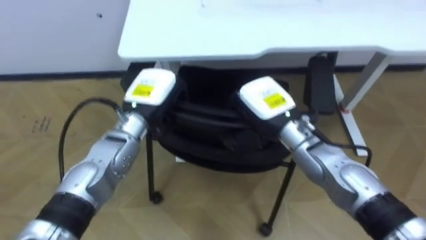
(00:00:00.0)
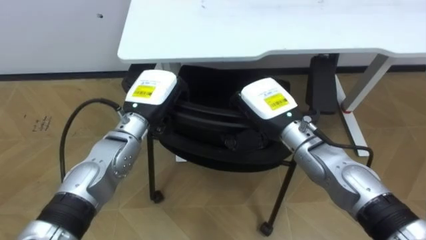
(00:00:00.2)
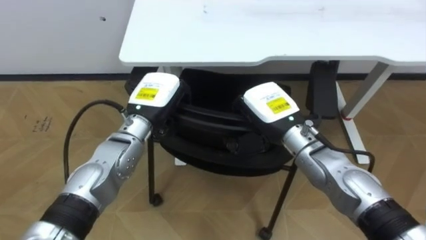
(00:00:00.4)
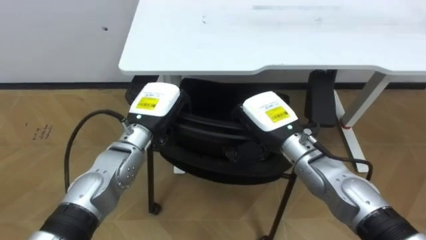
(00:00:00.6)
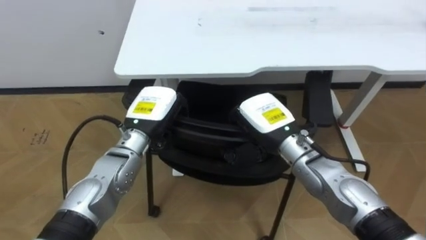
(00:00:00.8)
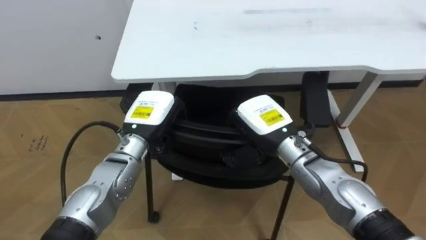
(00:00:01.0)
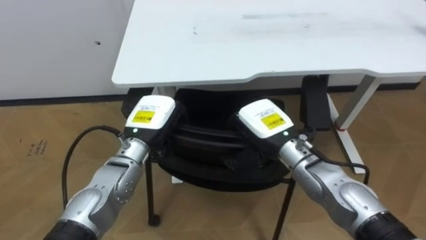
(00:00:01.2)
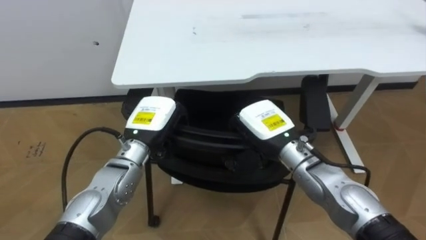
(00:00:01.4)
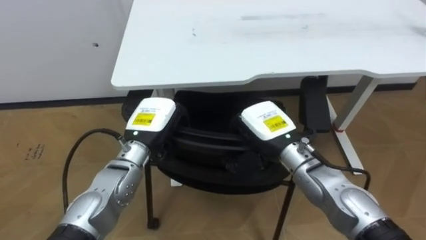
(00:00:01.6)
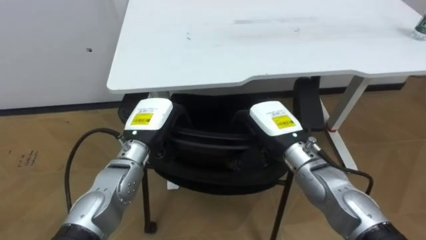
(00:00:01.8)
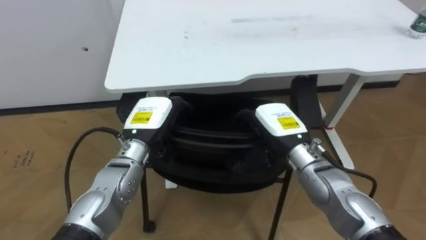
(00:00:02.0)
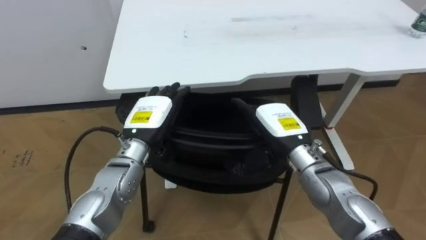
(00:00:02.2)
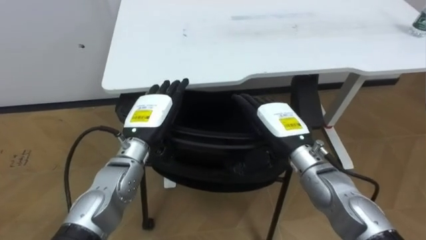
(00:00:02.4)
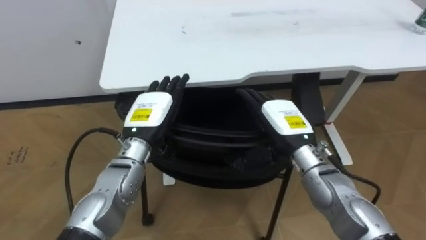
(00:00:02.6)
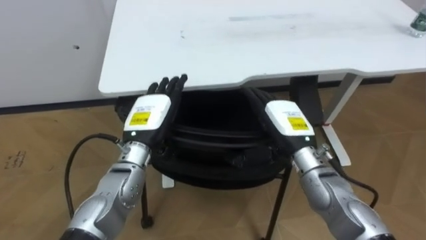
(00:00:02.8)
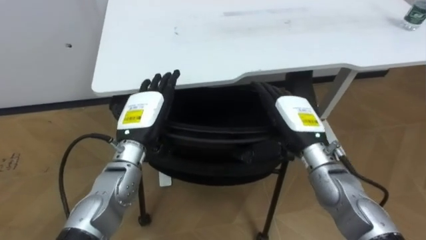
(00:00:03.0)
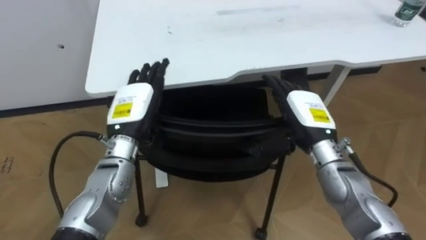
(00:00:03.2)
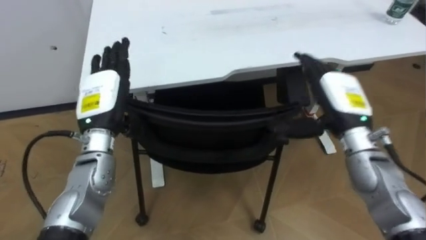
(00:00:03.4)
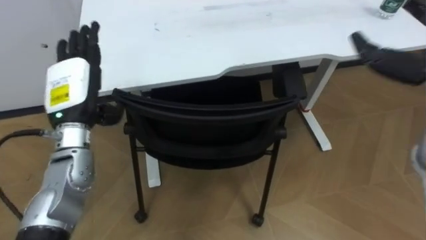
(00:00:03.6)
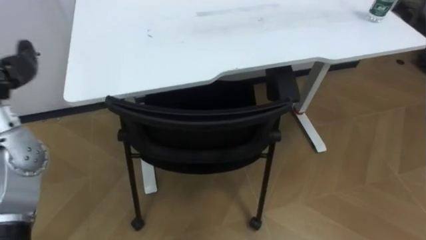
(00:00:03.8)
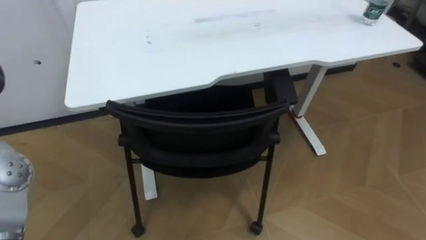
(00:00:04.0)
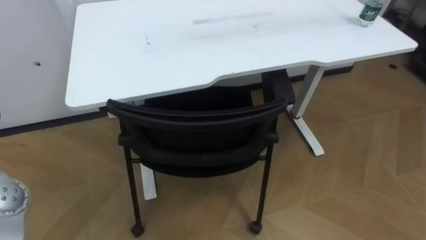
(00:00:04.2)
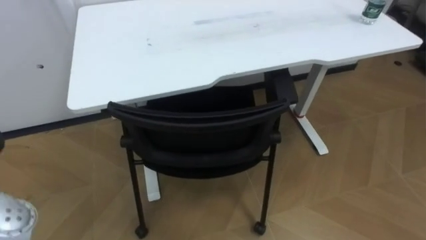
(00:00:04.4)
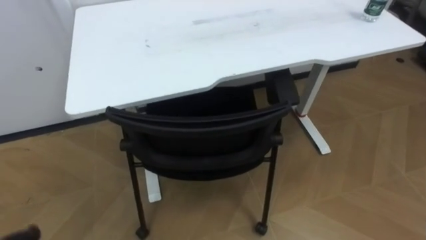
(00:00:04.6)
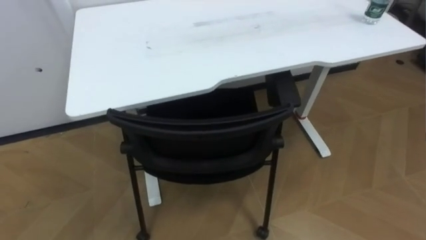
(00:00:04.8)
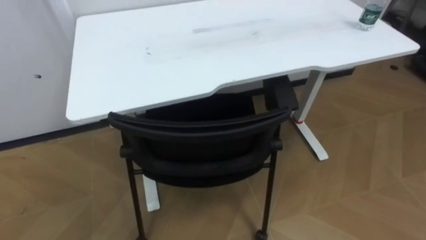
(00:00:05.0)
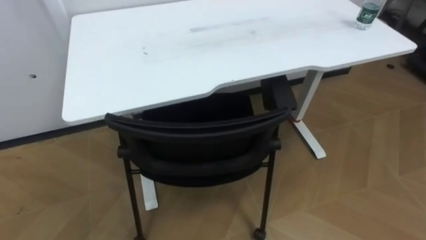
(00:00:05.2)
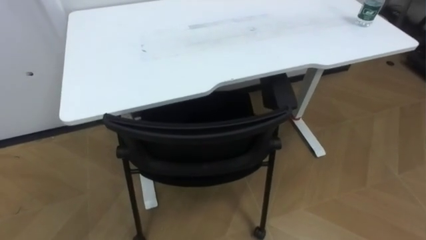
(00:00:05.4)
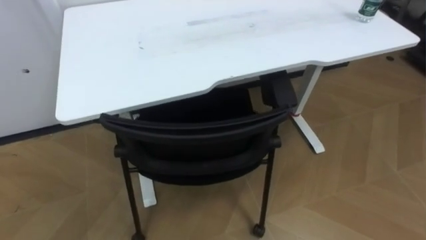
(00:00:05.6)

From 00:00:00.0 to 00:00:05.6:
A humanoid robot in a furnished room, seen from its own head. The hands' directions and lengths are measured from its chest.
Task of the whole recording: Push the chair under the table.
From 00:00:00.0 to 00:00:01.4: The left hand changes place by about 5 cm.
From 00:00:01.4 to 00:00:02.8: The right hand opens up. The left hand opens.

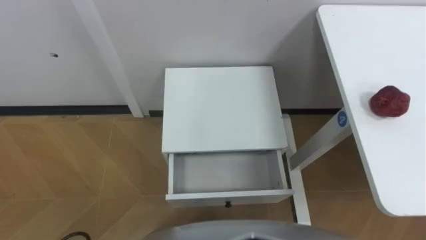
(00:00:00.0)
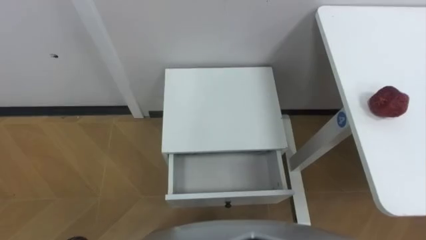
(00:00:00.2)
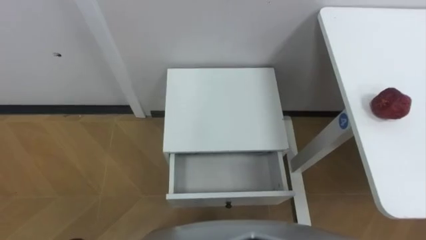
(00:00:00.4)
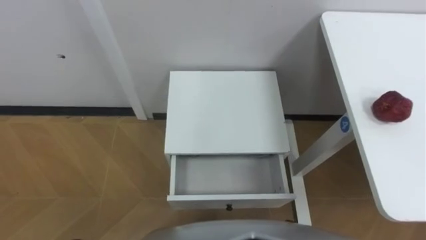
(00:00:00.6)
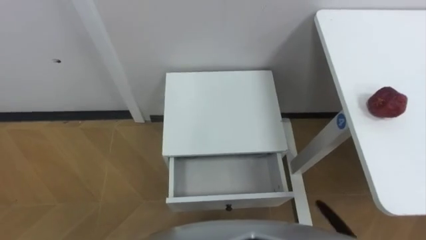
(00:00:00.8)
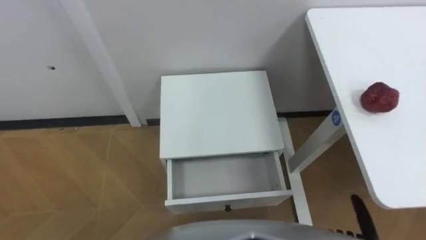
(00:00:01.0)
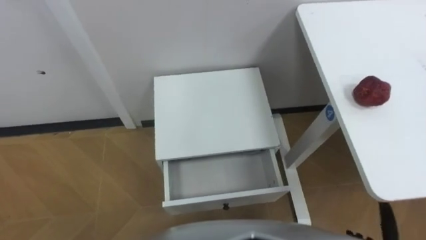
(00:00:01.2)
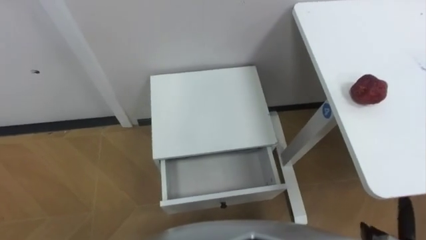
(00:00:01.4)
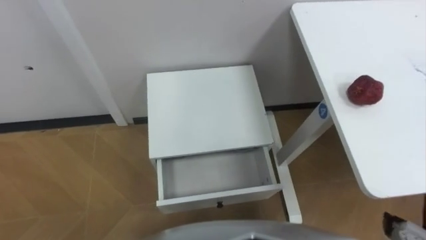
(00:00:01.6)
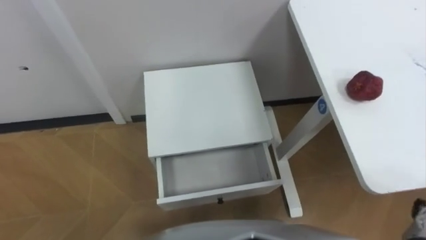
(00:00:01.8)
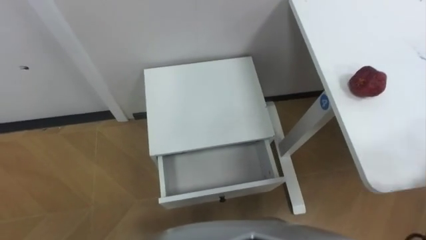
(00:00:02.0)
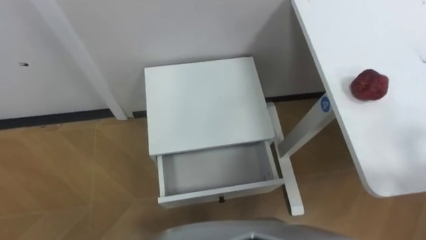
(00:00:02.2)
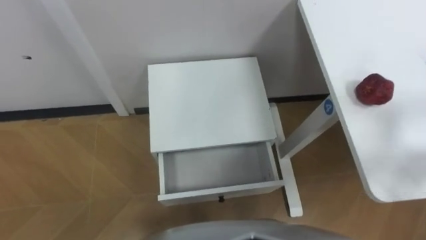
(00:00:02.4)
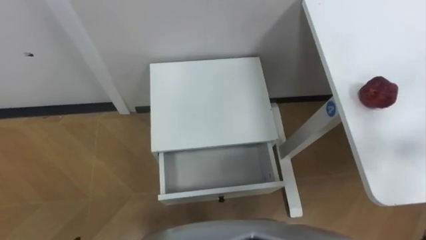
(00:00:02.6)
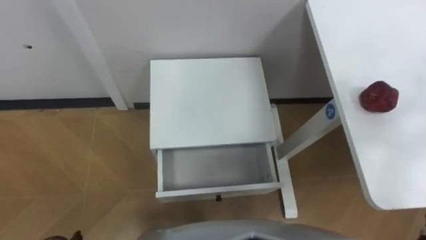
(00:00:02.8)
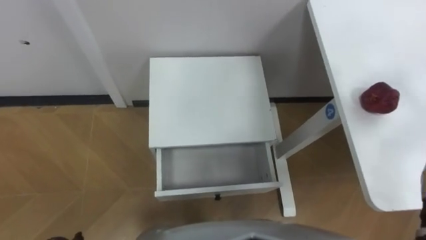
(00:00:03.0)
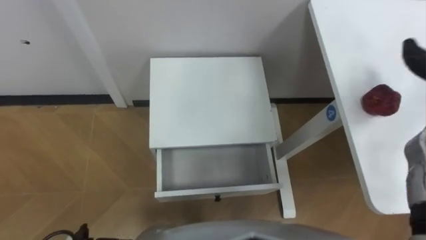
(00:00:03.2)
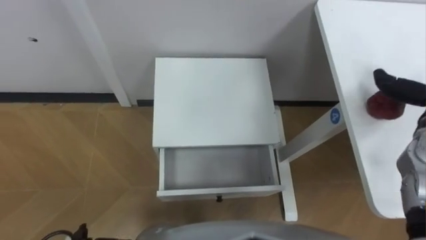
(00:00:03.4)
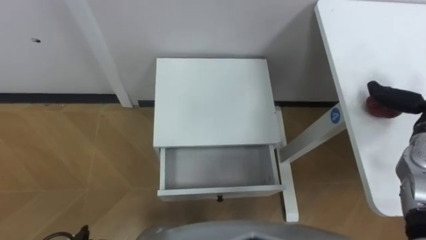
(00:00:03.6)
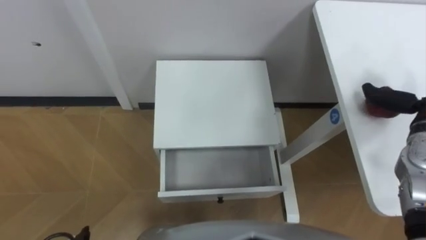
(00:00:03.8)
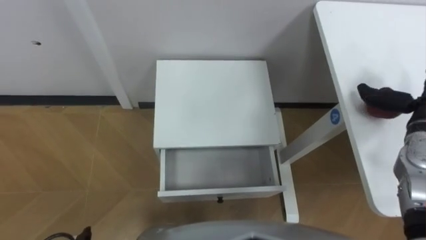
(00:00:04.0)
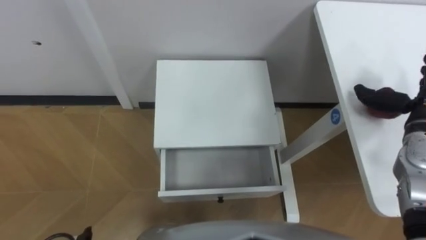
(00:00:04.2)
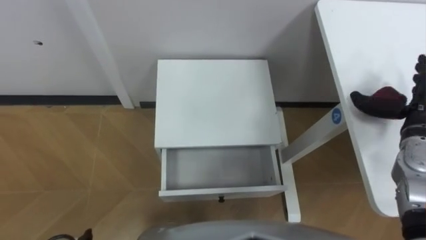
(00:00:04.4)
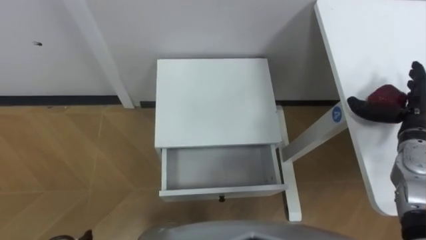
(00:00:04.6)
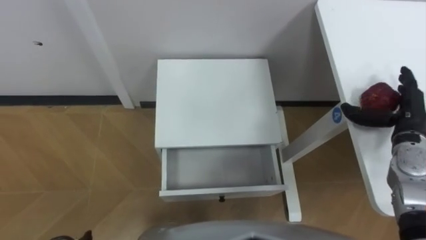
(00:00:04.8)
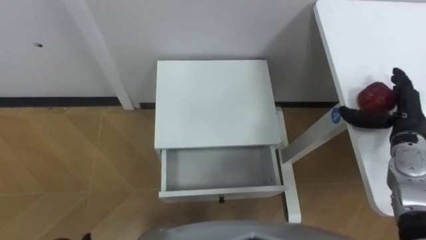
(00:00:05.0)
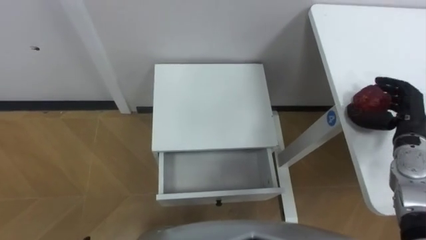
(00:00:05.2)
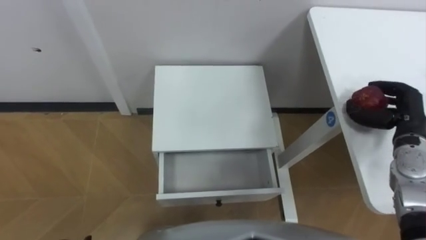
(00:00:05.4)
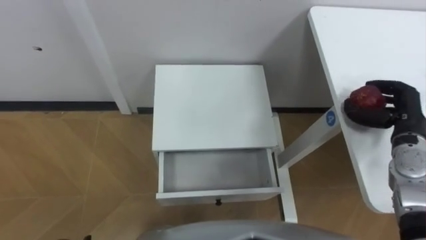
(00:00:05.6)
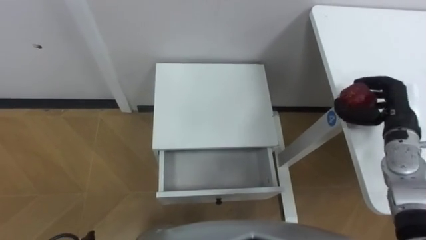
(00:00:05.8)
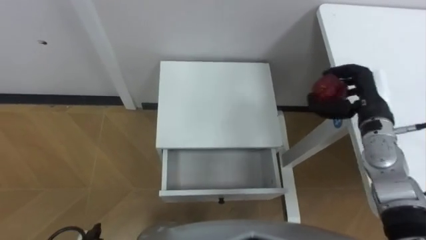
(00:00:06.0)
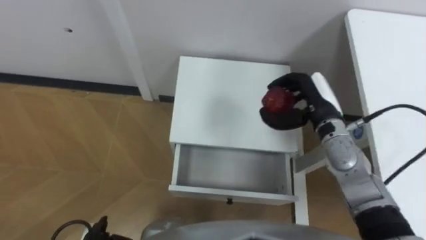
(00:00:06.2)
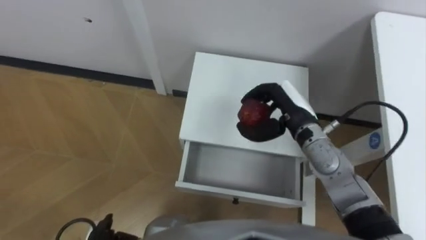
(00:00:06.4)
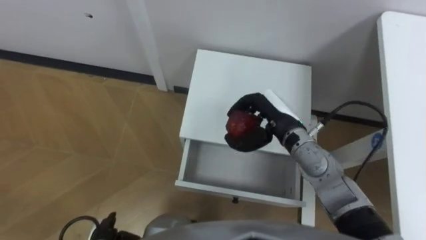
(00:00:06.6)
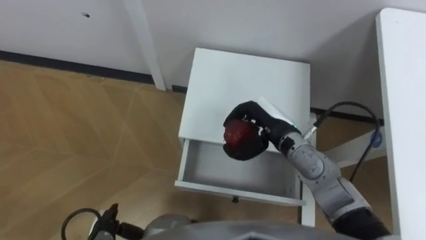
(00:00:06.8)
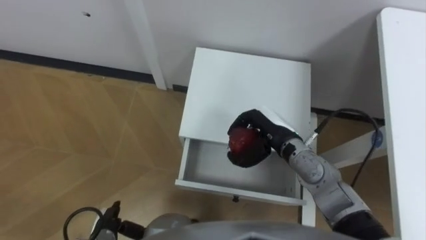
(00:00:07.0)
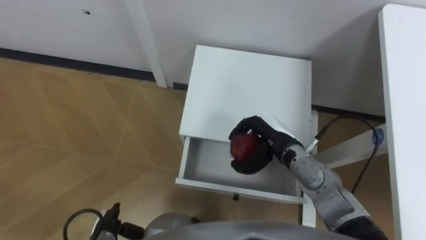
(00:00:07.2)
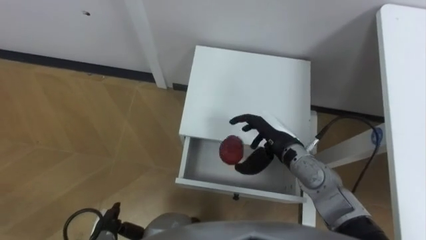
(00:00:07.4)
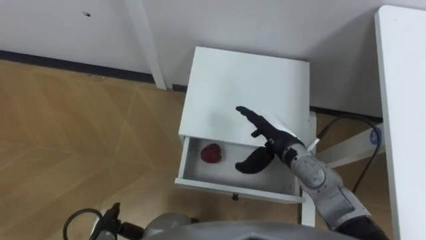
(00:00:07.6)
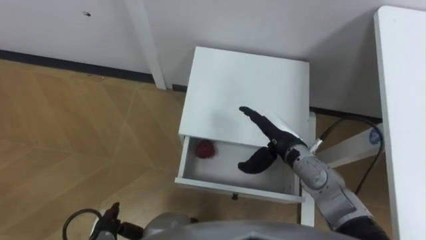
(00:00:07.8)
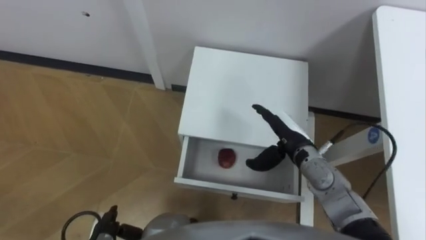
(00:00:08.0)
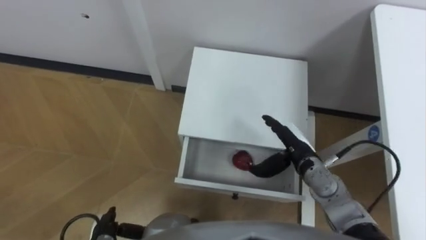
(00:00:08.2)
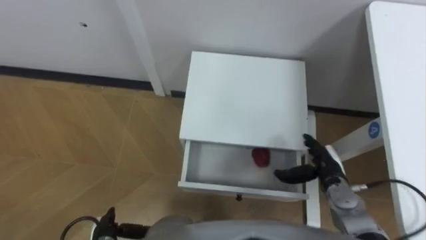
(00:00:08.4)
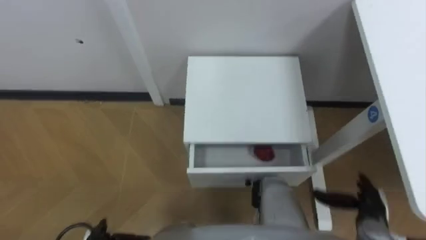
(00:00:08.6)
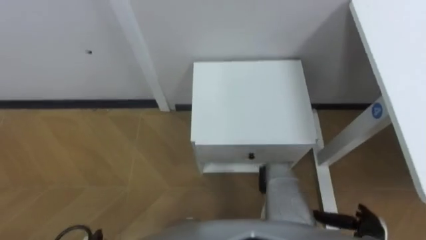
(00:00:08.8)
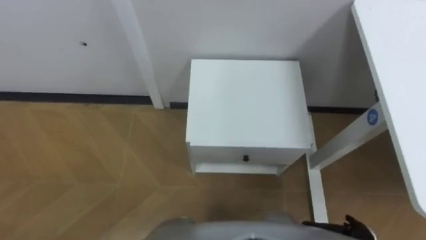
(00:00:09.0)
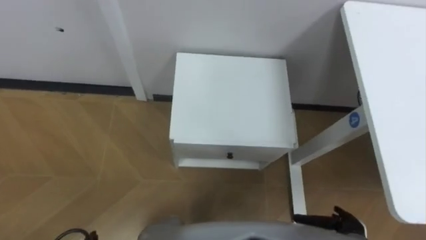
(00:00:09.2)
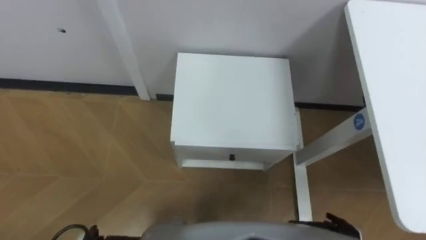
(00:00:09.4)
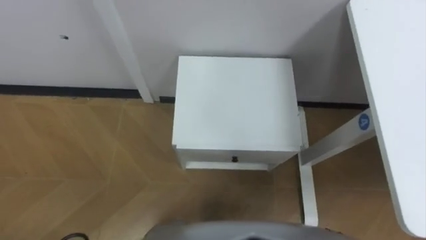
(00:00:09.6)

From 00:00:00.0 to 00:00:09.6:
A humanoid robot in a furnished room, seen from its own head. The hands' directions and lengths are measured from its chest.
Task of the whole recording: Pick up the apple from the table, put it in the drawer, and close the drawer with leg.
From 00:00:04.8 to 00:00:06.4: The right hand heads to the left, covering about 20 cm, and closes.
From 00:00:06.4 to 00:00:08.0: The right hand shifts some 5 cm downward, and opens its fingers.
